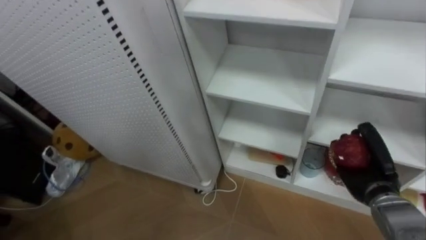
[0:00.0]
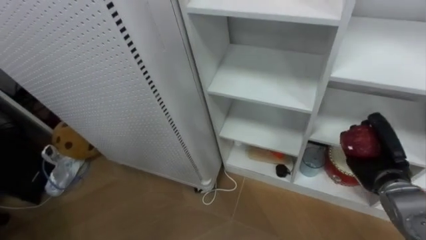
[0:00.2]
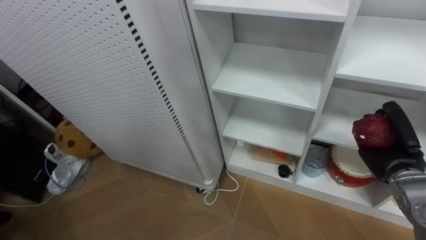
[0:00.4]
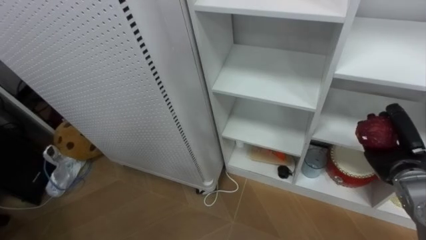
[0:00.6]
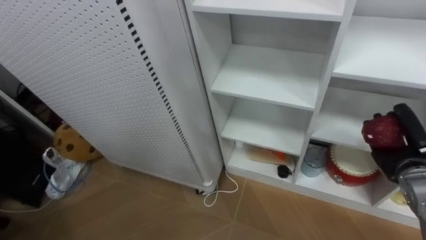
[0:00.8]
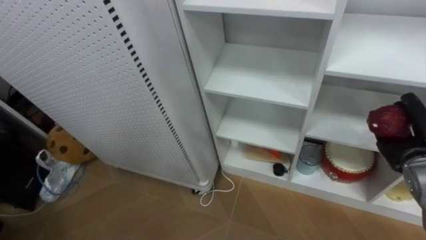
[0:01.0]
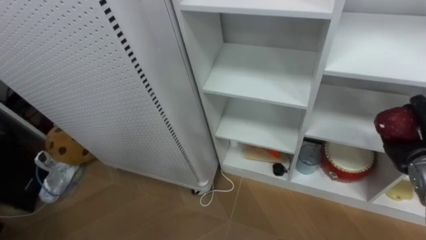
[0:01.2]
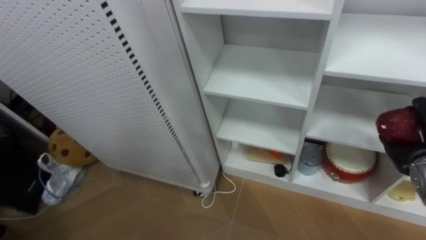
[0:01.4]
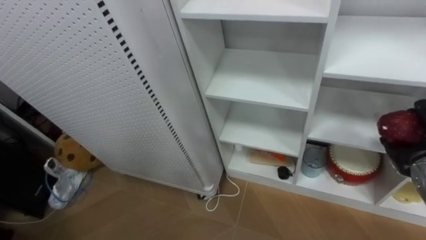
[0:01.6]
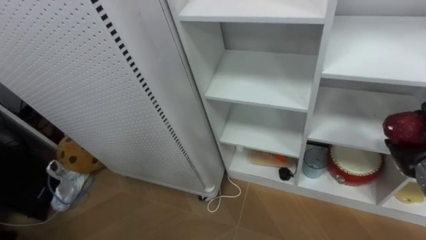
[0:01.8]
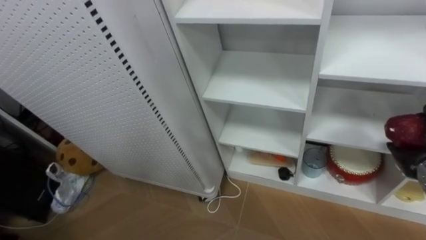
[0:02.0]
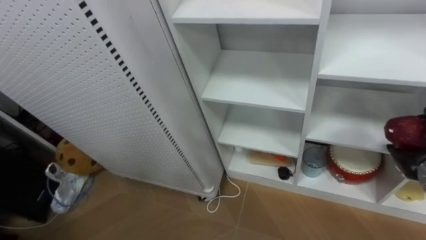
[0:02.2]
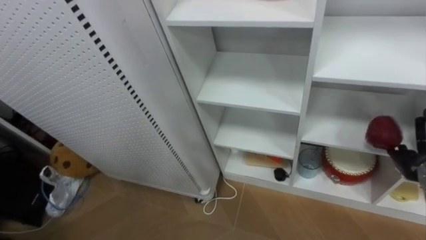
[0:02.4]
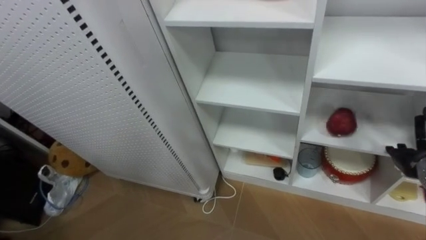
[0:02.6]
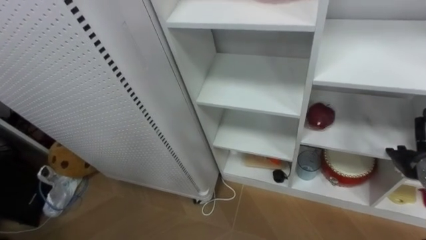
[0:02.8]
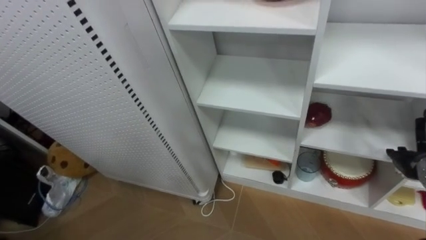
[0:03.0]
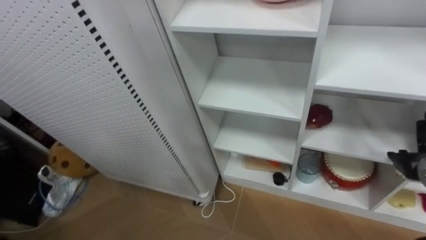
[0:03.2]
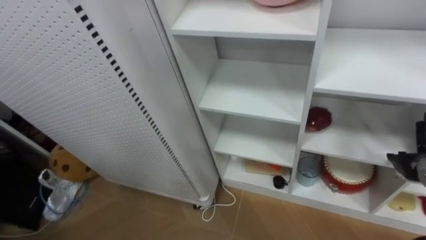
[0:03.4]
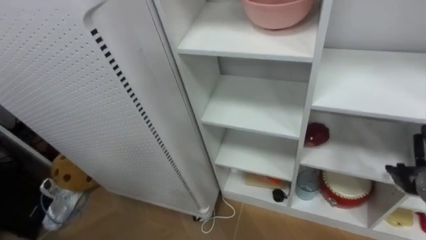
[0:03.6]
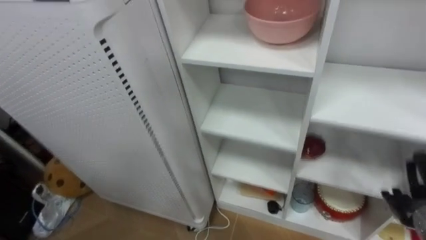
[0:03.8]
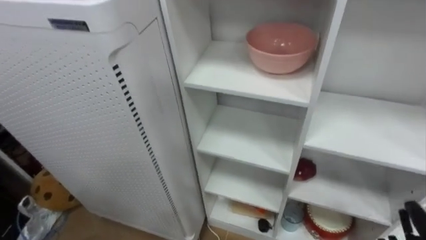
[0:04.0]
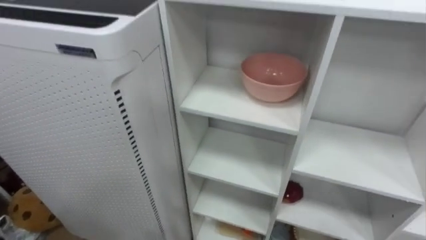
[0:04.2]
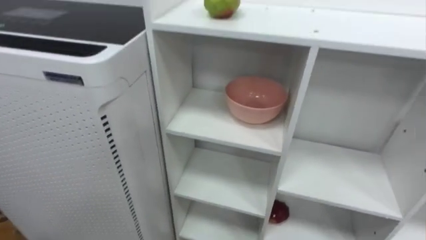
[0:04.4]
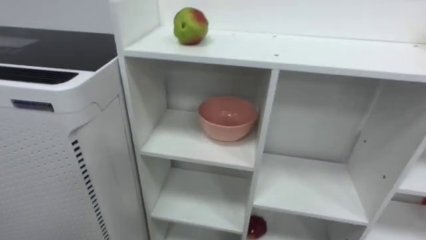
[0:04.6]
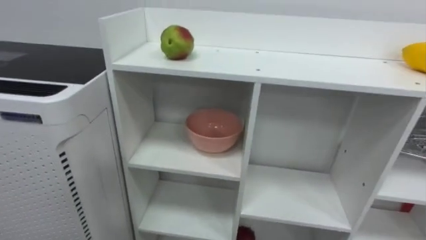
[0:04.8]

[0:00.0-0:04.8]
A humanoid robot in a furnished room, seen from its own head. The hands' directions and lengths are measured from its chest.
Task of the whole recording: Put the apple in the cell in the second column from the left and the second row from the top.
0:00.0 to 0:01.6: The right hand is displaced to the right and upward by approximately 10 cm, and opens up.

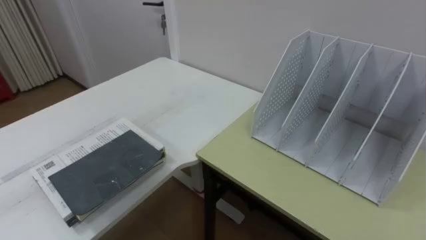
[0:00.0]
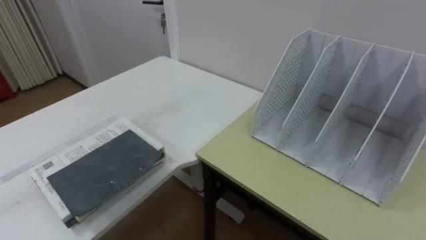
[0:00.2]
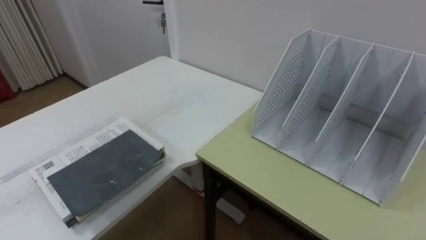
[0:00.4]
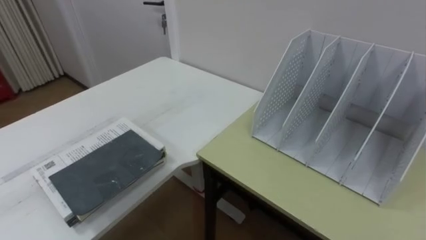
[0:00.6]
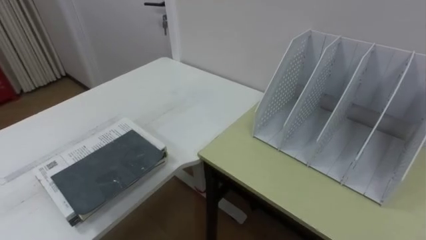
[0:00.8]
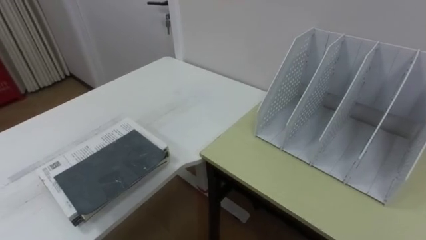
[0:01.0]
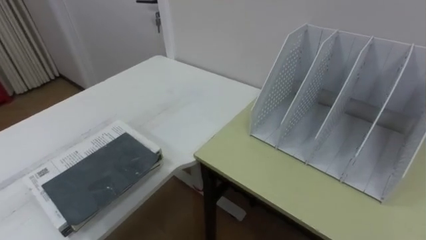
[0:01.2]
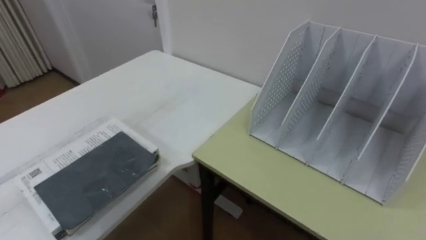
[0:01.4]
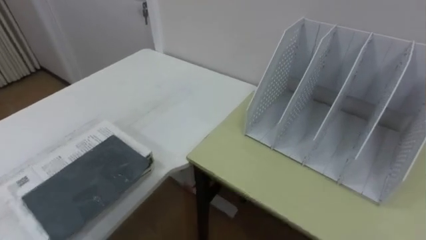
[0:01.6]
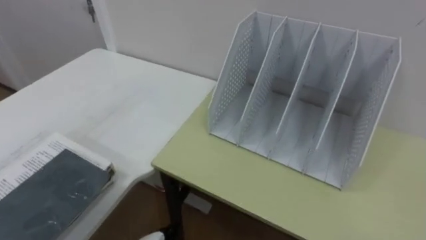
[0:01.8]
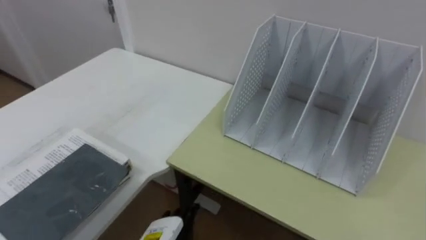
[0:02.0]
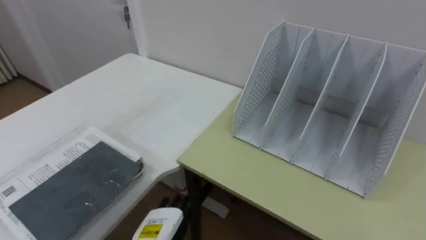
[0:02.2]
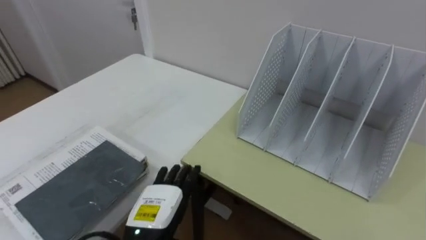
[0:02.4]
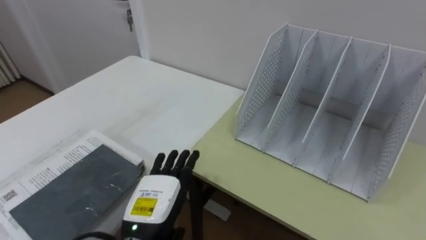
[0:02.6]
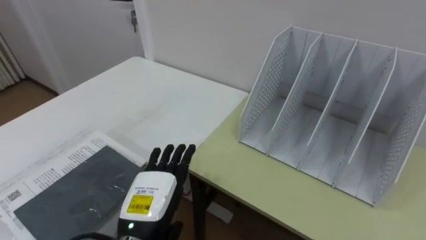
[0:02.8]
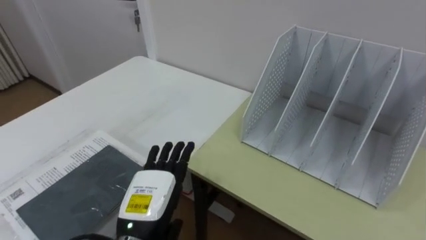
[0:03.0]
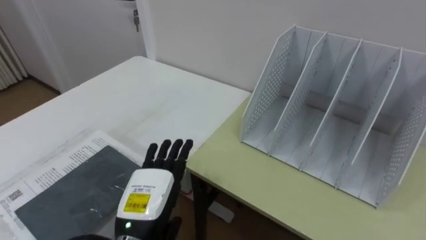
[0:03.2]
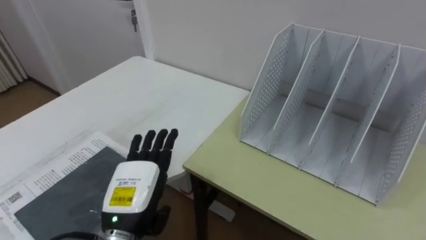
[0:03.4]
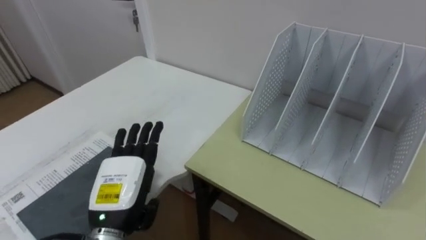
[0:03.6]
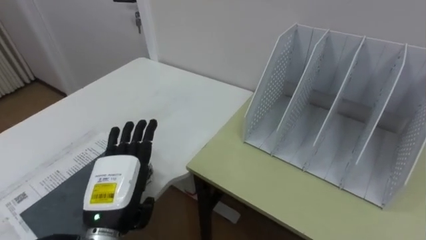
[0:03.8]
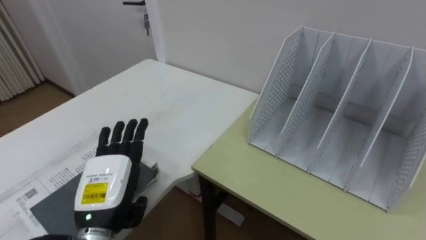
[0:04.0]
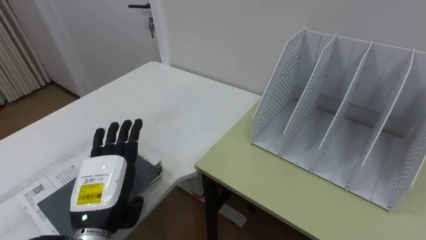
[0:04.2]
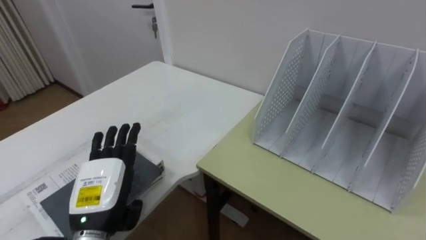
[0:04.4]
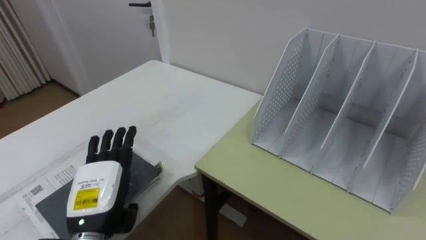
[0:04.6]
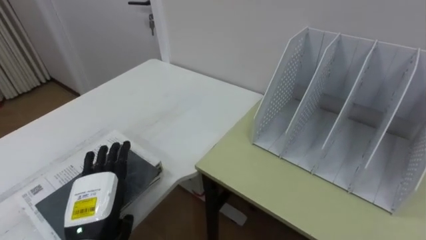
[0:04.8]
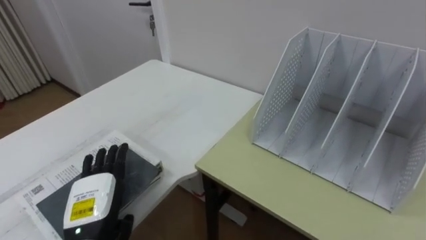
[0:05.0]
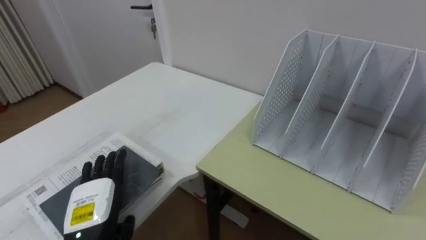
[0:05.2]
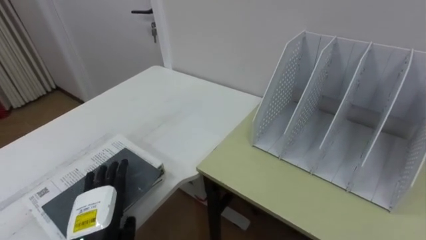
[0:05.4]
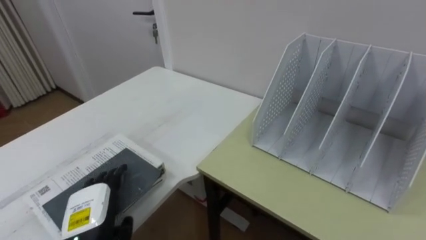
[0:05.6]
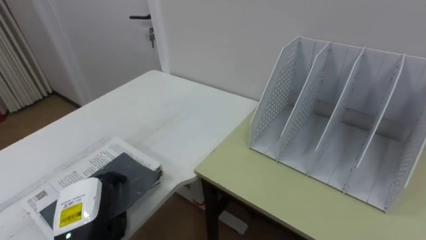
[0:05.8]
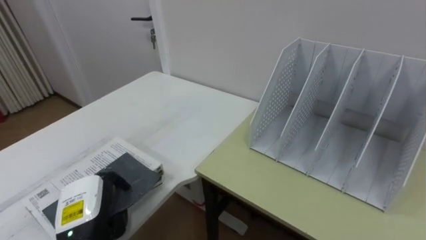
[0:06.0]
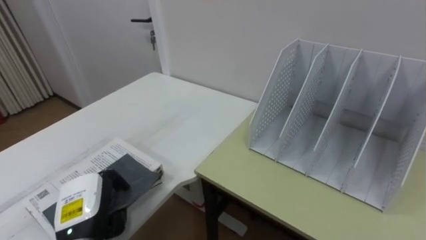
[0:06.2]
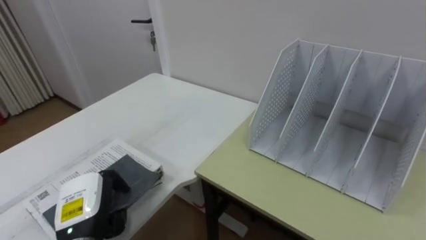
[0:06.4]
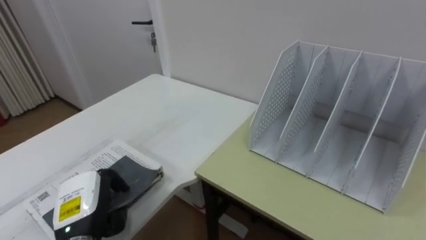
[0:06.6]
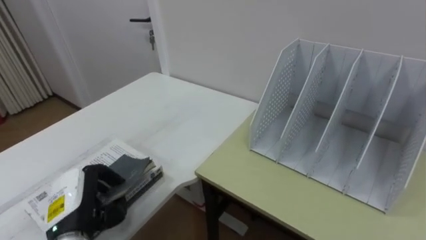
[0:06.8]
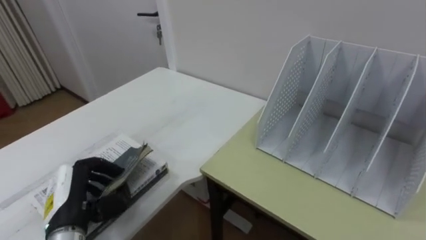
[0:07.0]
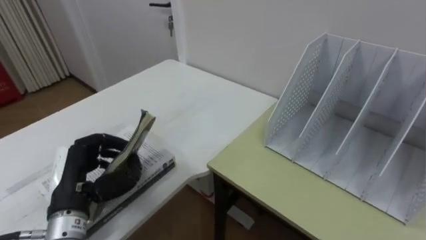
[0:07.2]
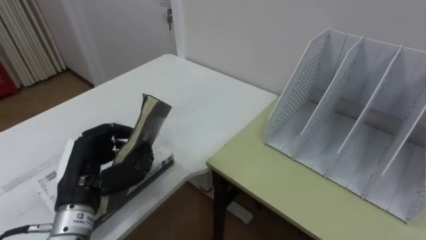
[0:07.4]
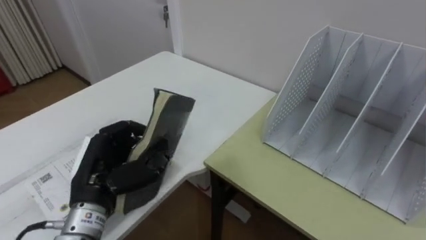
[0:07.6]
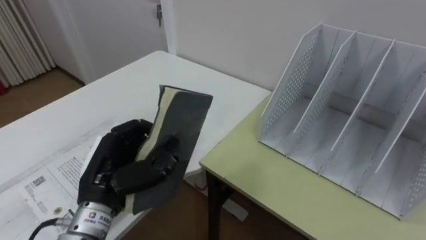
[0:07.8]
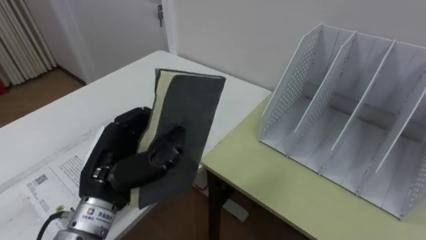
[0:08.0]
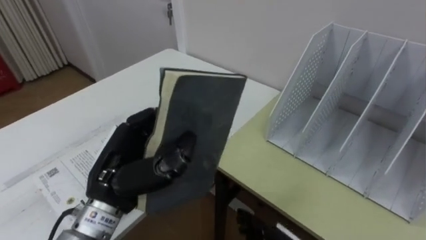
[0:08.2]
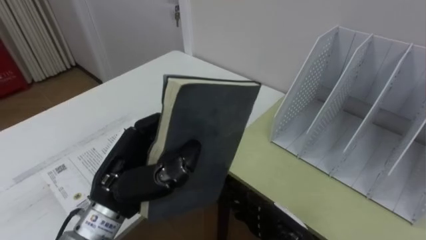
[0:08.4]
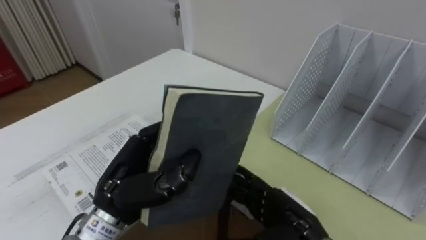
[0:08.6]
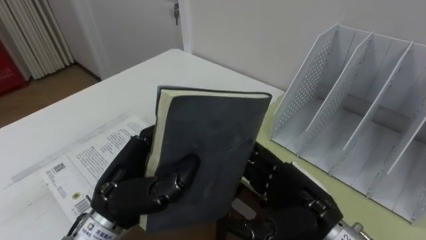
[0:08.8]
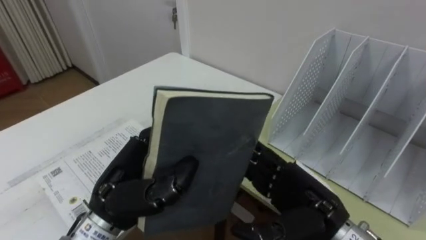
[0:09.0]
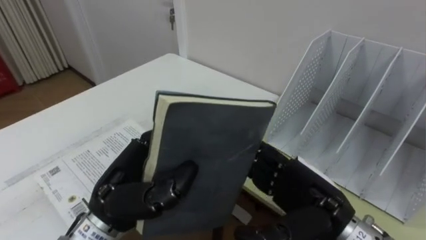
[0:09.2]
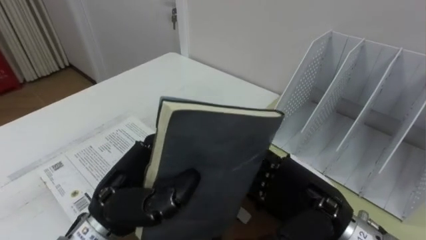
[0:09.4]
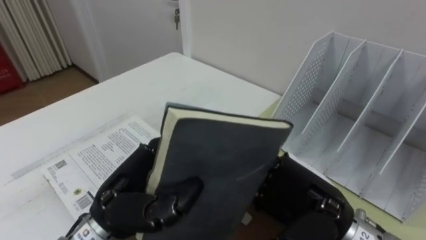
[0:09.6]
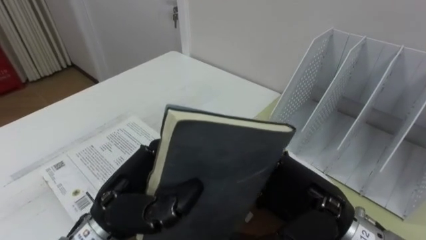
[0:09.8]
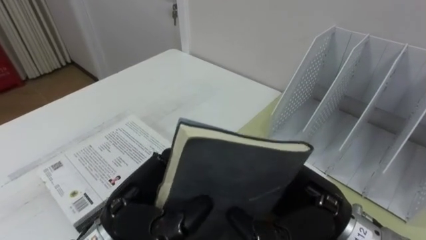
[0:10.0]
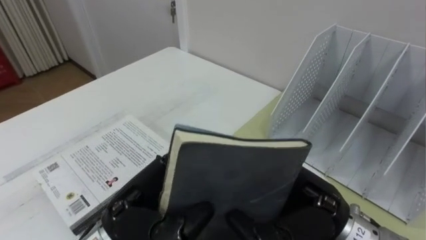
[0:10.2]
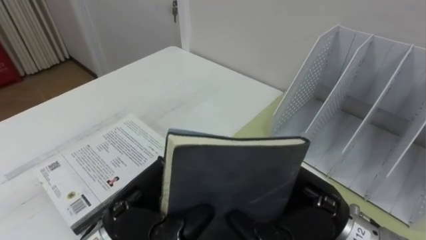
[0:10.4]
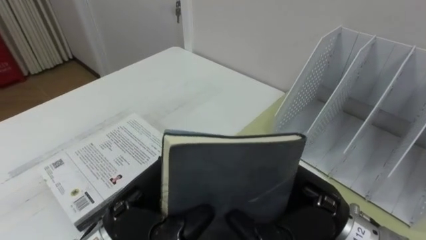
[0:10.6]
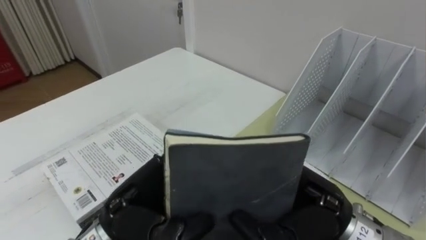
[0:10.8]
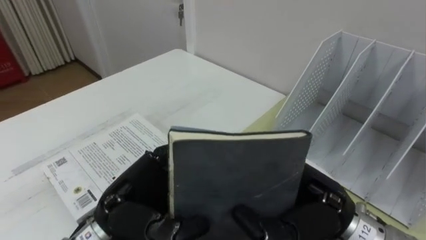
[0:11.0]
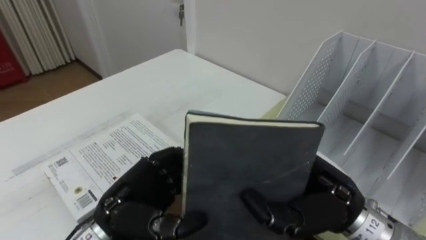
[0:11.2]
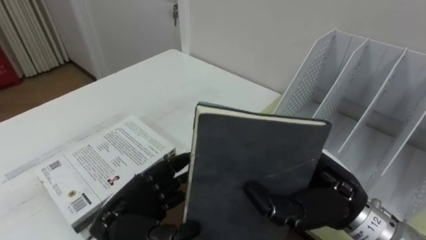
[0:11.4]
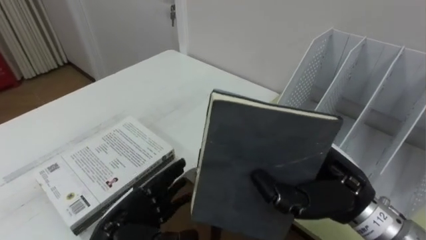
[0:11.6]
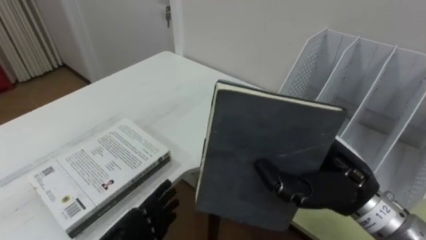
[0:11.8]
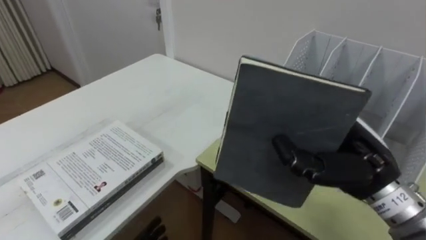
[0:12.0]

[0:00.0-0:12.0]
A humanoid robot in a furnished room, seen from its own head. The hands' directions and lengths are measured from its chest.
Task of the whole recording: Put the books on the table onto the bookshelf.
0:03.0 to 0:04.4: The left hand goes approximately 5 cm to the left.
0:04.4 to 0:06.0: The left hand heads downward, covering about 5 cm, and closes.
0:06.0 to 0:07.6: The left hand is displaced upward by about 10 cm.
0:07.6 to 0:09.0: The left hand shifts about 5 cm to the right.
0:09.0 to 0:10.4: The right hand moves upward, about 5 cm, and closes.
0:10.4 to 0:12.0: The right hand heads to the right, covering about 5 cm.
